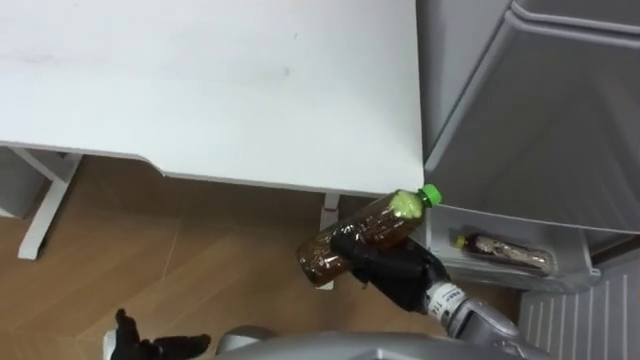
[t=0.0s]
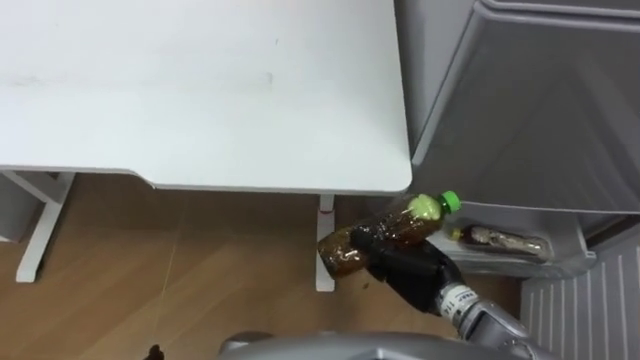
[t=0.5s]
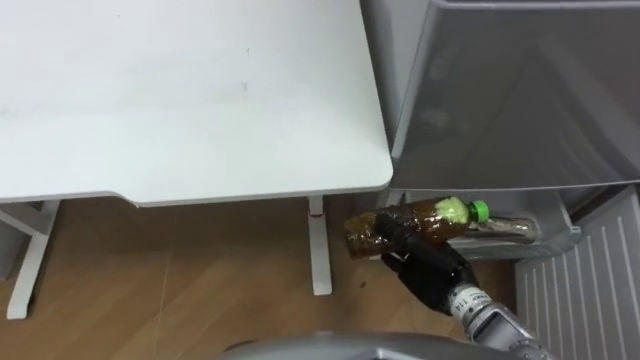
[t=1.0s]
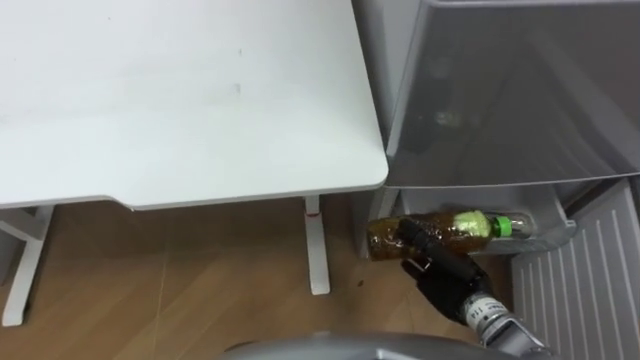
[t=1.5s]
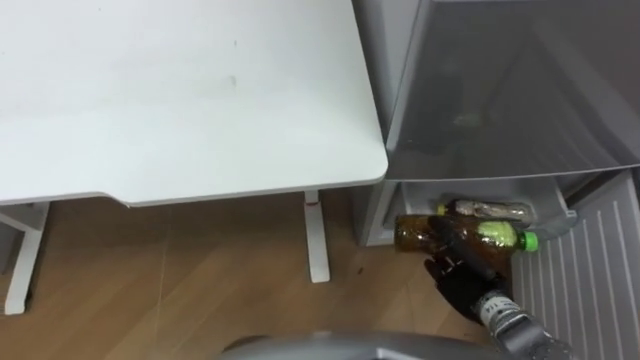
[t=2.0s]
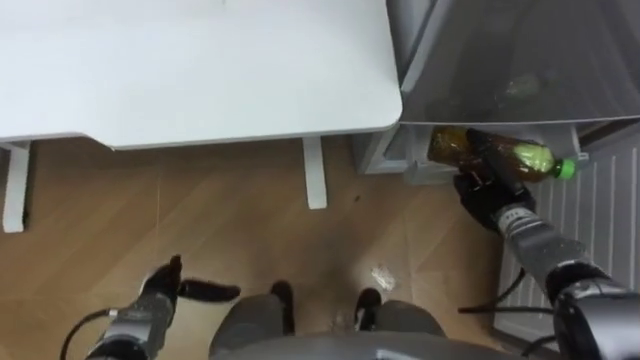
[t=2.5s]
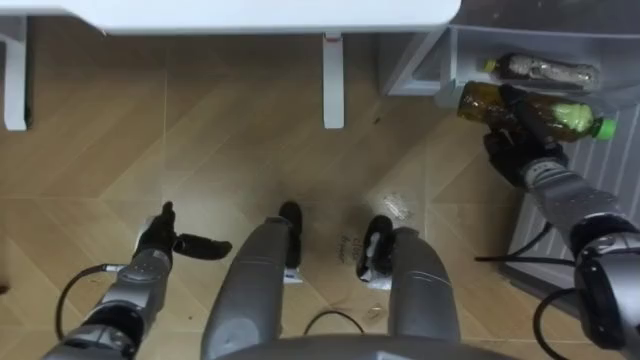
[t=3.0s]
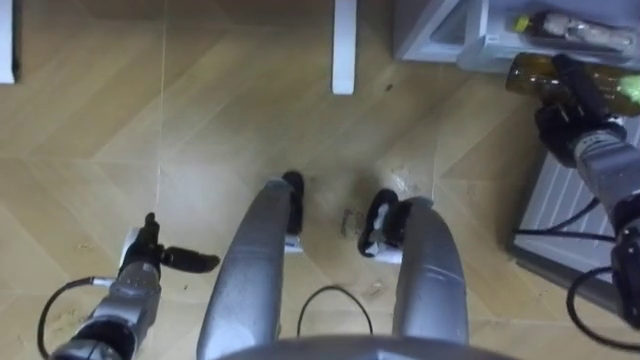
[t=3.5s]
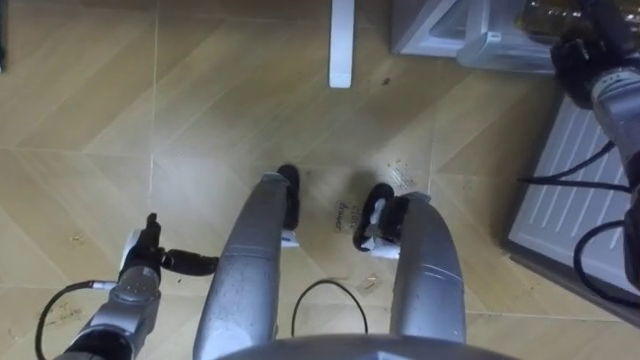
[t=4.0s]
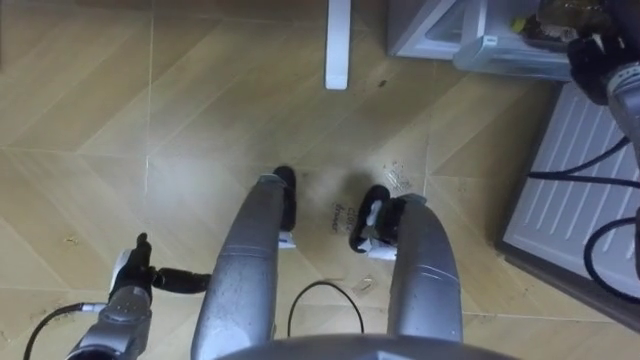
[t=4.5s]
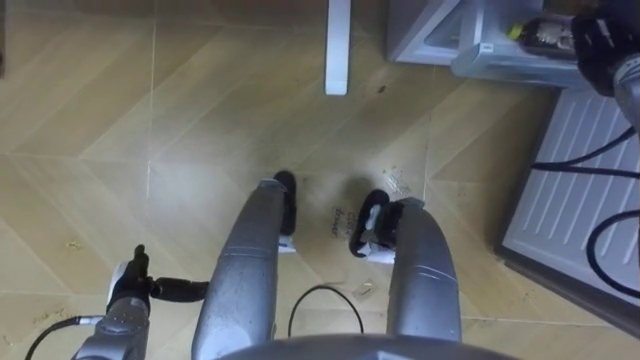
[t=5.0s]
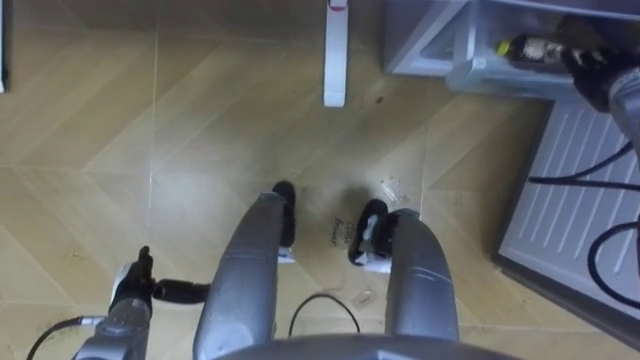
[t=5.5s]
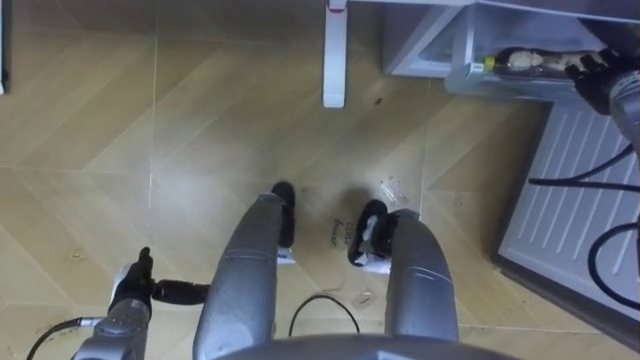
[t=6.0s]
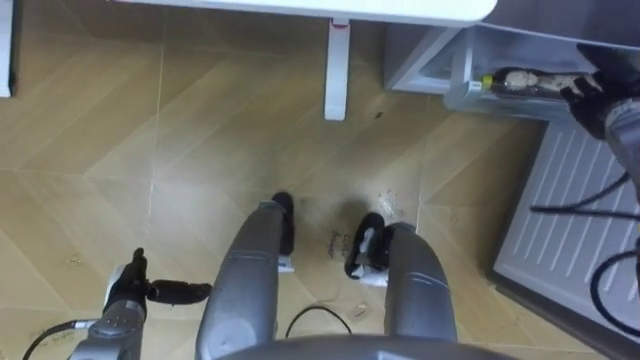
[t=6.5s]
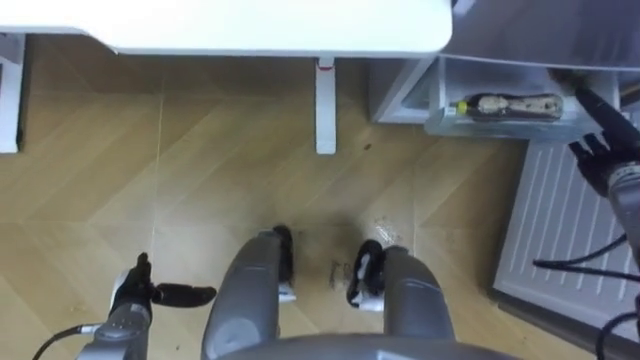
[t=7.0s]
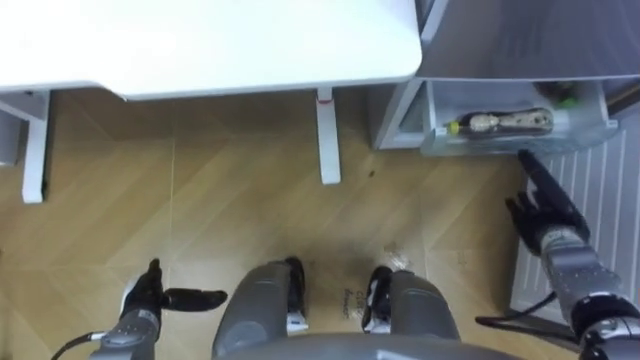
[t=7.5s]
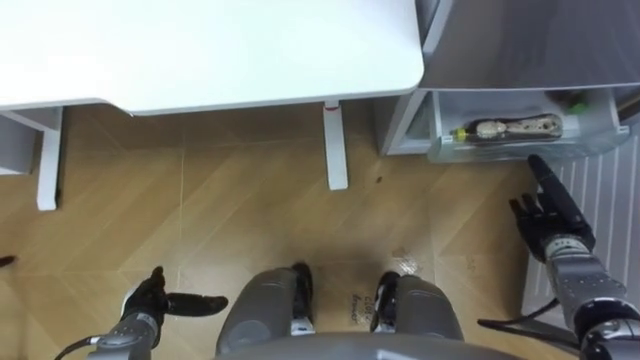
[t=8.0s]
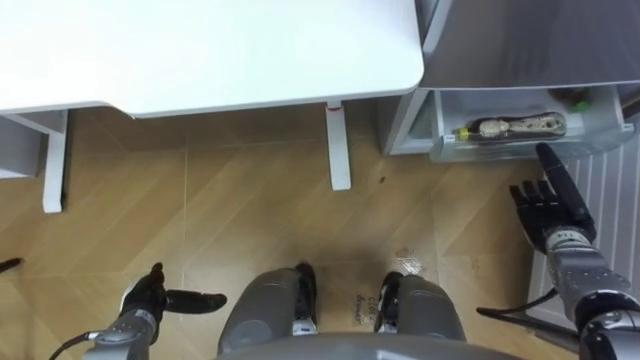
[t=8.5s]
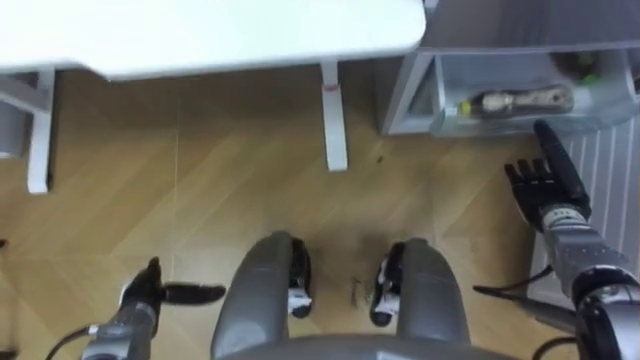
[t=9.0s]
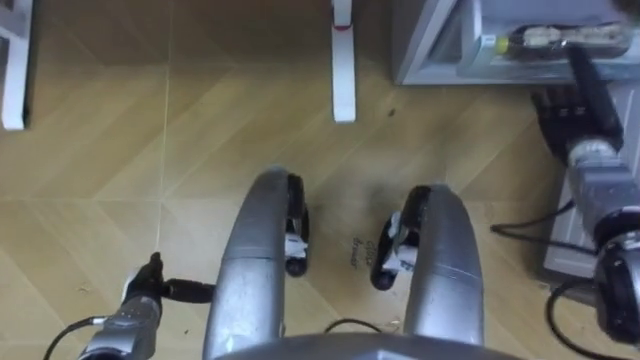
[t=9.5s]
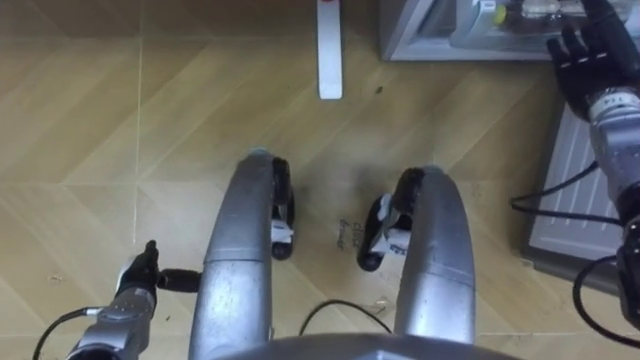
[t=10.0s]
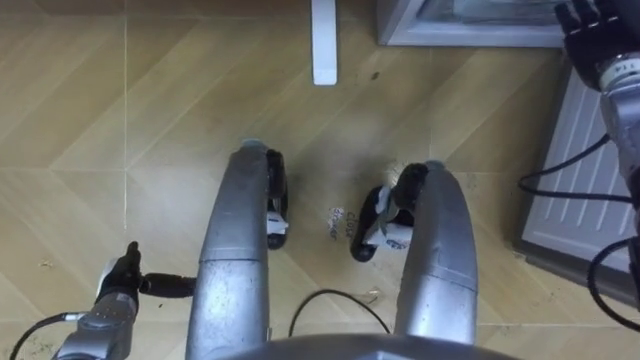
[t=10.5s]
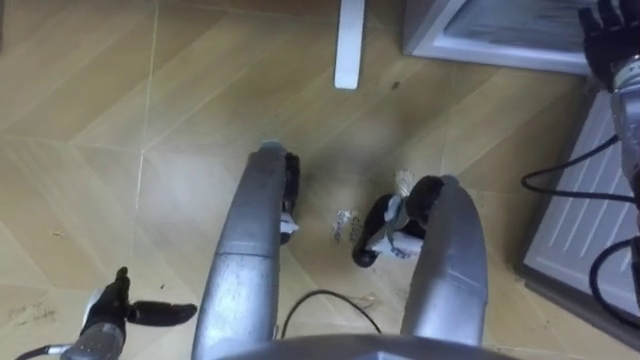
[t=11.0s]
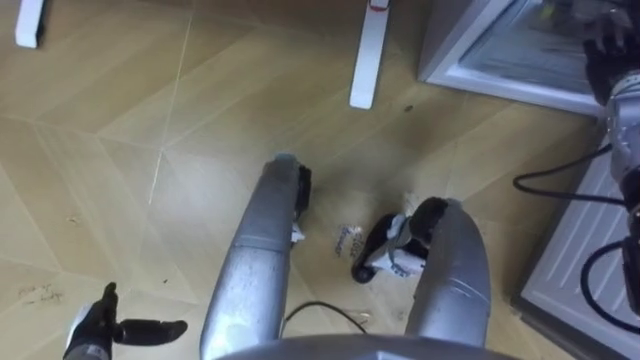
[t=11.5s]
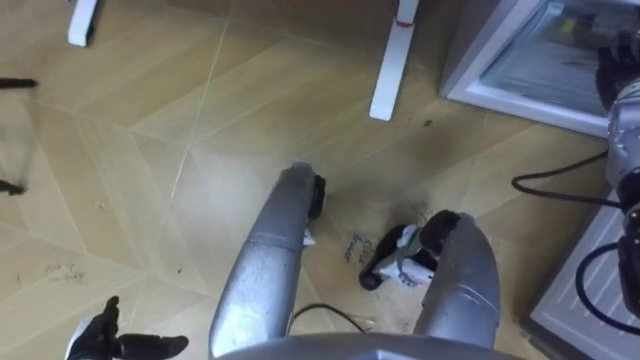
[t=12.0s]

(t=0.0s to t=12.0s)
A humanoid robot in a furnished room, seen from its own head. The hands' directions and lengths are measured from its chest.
Task of the whole recording: Place the drink on the table on the bottom shelf of the refrigerator, then close the drawer and the refrigerator door.
t=0.0s - t=2.0s: The right hand travels to the right and downward by roughly 15 cm.
t=2.0s - t=4.0s: The right hand heads forward, upward and to the right, covering roughly 35 cm.
t=4.0s - t=6.0s: The right hand opens, while the left hand ends up approximately 5 cm from where it was.
t=6.0s - t=8.0s: The right hand moves backward and downward, roughly 25 cm.
t=8.0s - t=10.0s: The right hand goes about 20 cm forward and upward.
t=10.0s - t=12.0s: The left hand shifts about 10 cm backward.

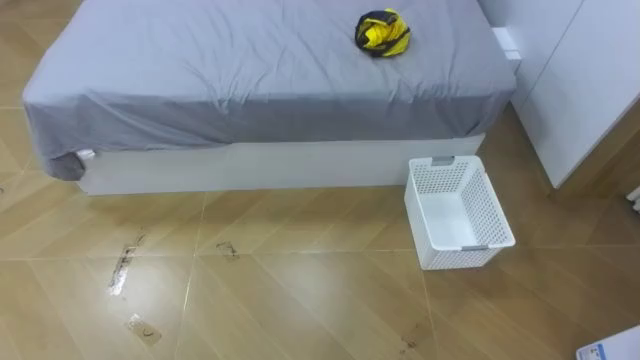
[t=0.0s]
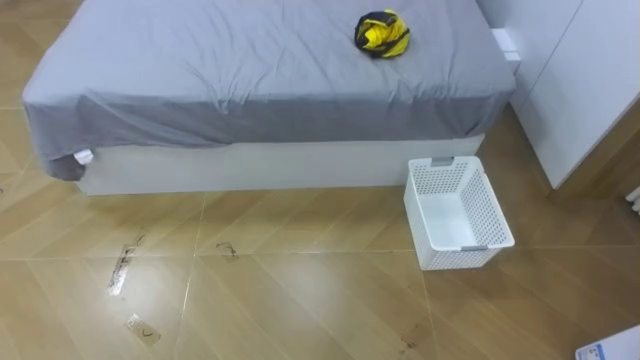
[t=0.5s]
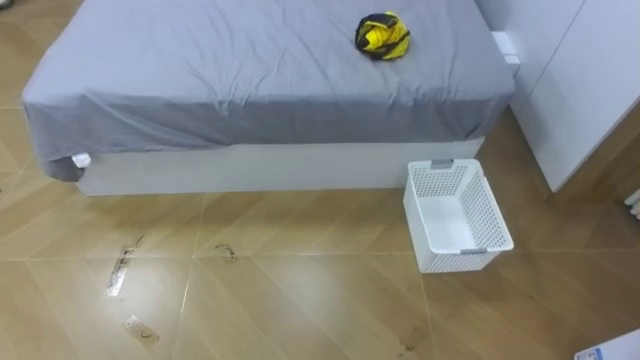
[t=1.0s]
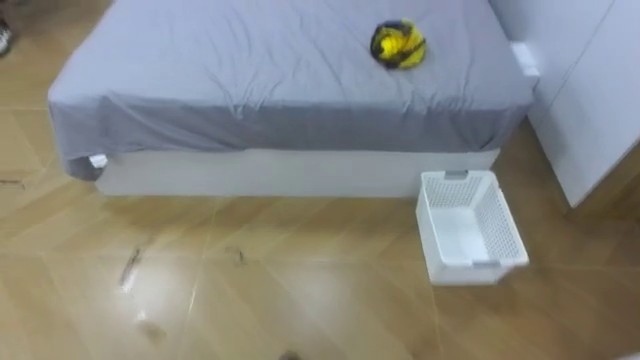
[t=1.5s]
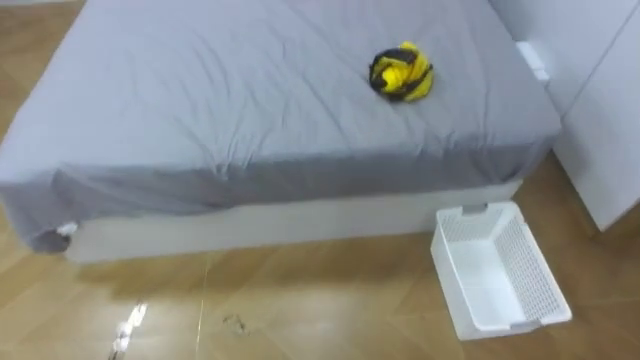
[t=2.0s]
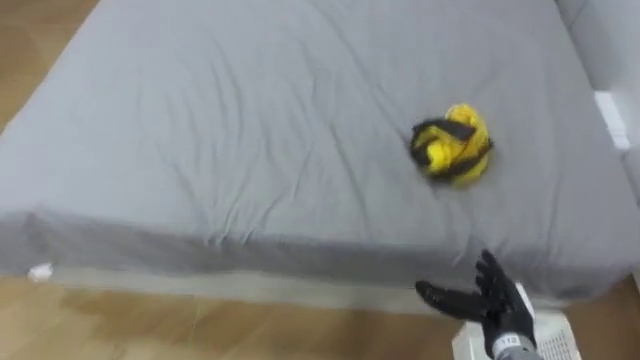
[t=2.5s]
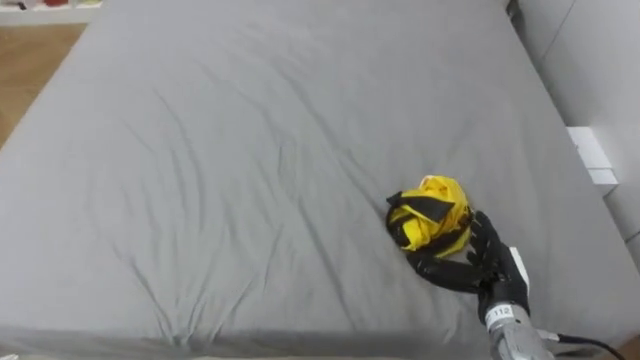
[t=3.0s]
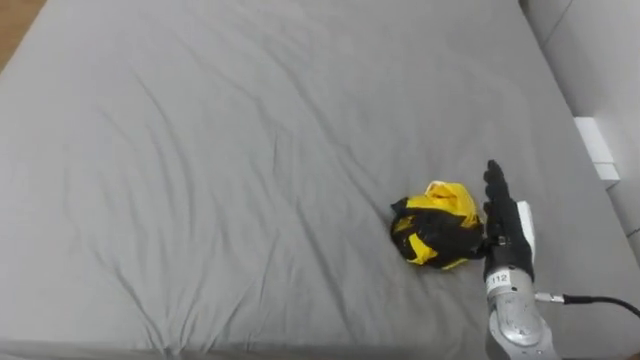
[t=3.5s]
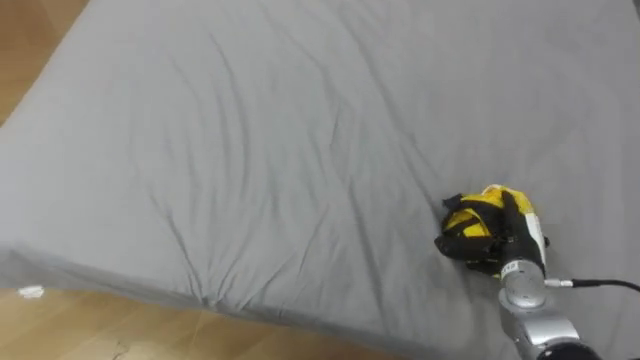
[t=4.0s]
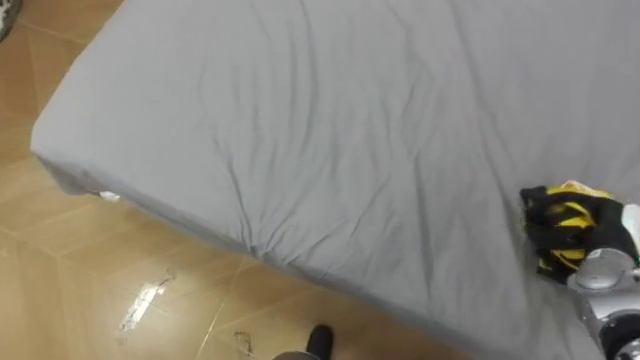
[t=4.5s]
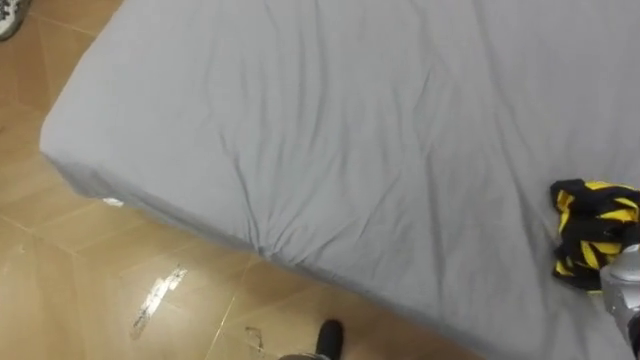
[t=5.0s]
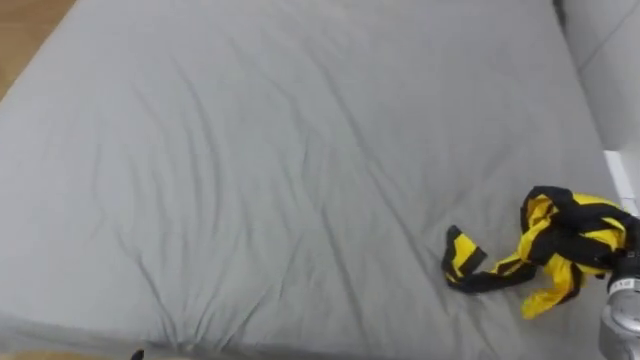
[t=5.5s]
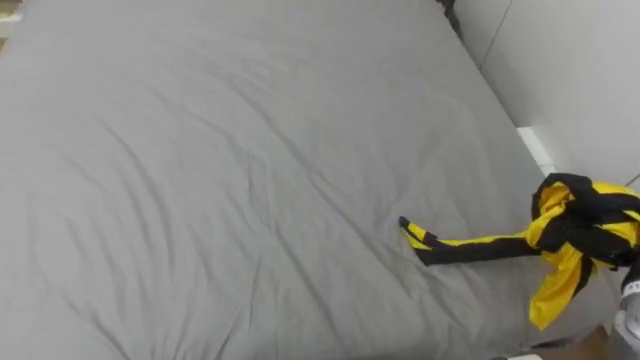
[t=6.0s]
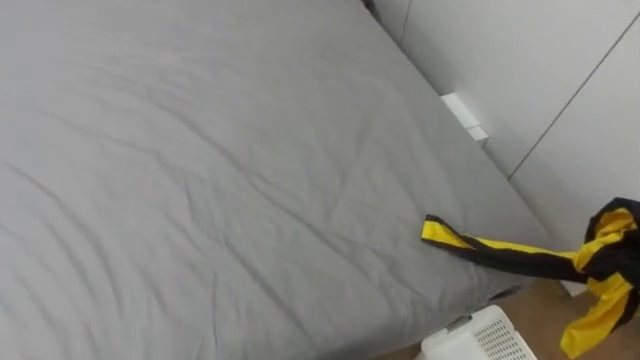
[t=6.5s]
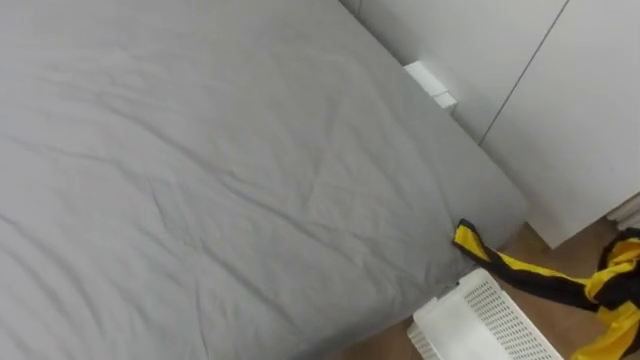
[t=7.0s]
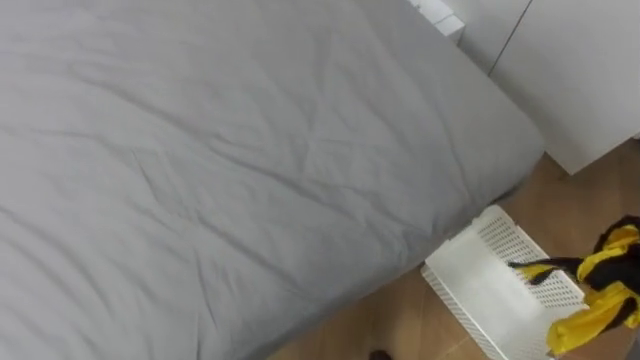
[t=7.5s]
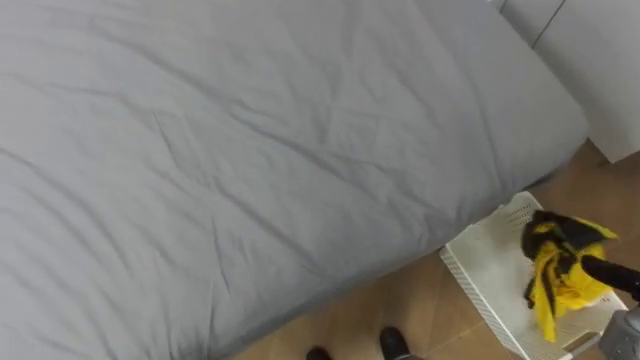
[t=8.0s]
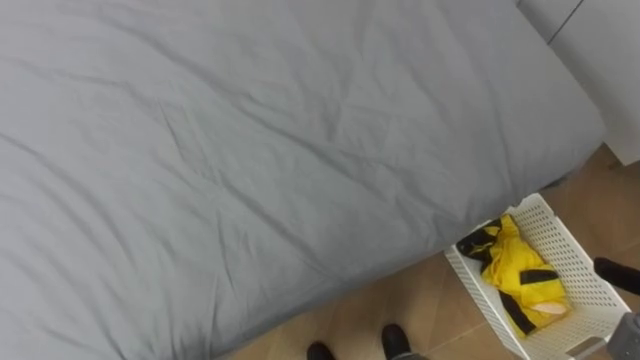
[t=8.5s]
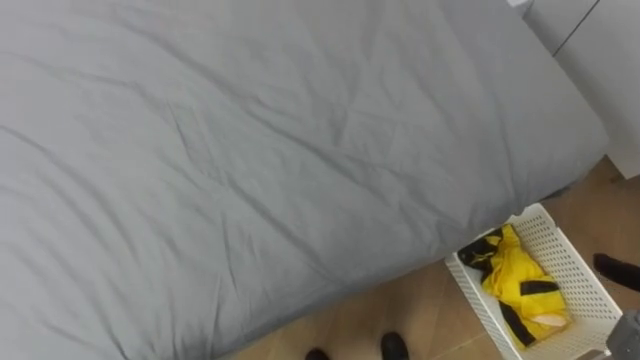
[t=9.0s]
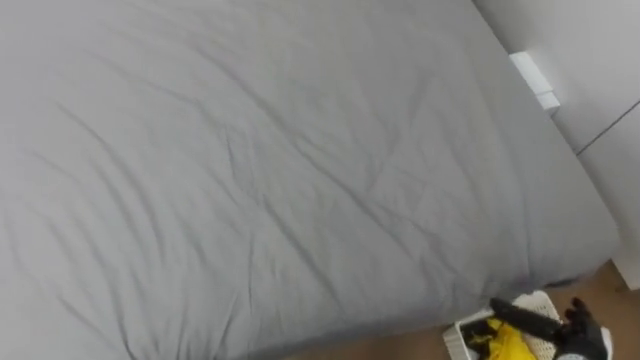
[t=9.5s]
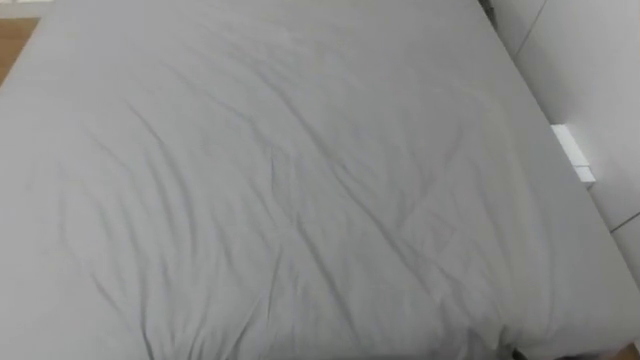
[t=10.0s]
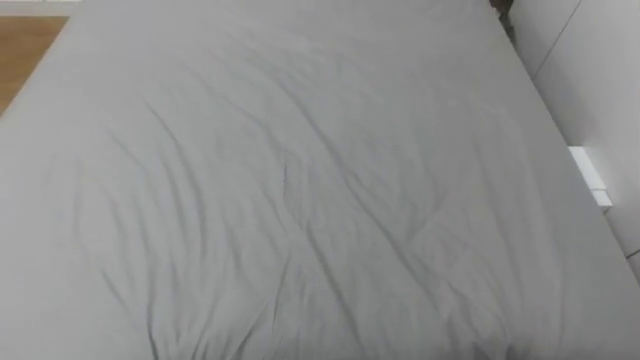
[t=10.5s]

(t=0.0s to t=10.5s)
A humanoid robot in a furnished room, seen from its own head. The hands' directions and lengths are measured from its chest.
Task of the whole recording: Pick up the yellow clothes on the bed and place them into the white basket on the right.
t=8.5s - t=10.5s: The robot's body swings about 20 degrees to its left.
